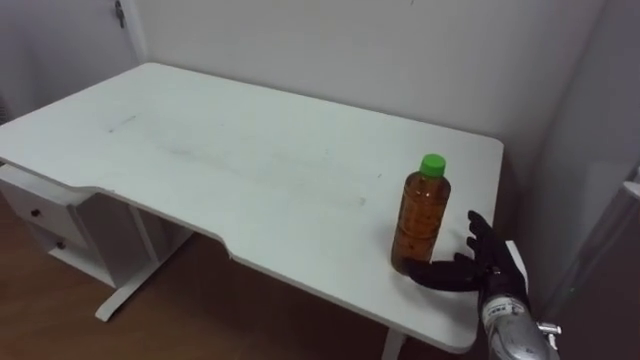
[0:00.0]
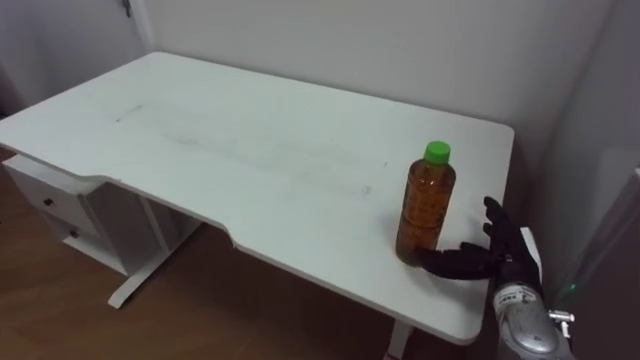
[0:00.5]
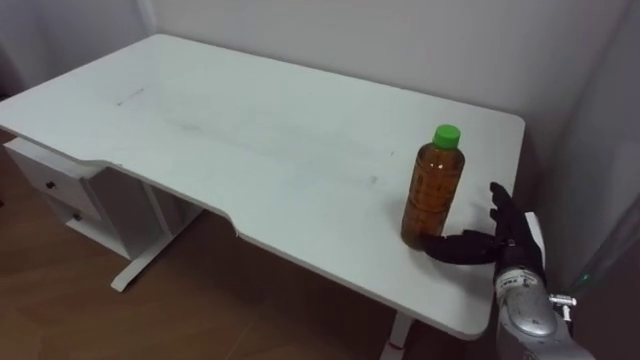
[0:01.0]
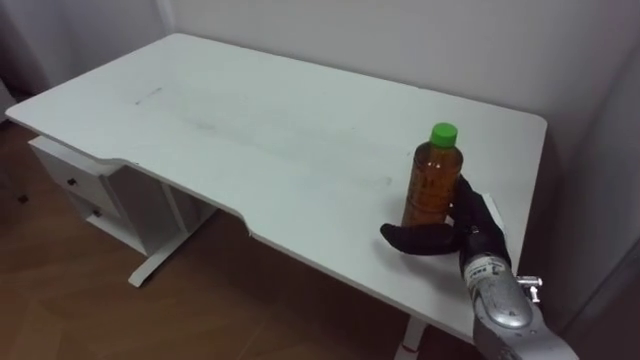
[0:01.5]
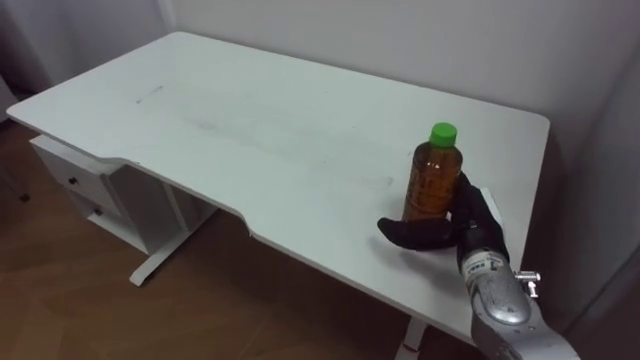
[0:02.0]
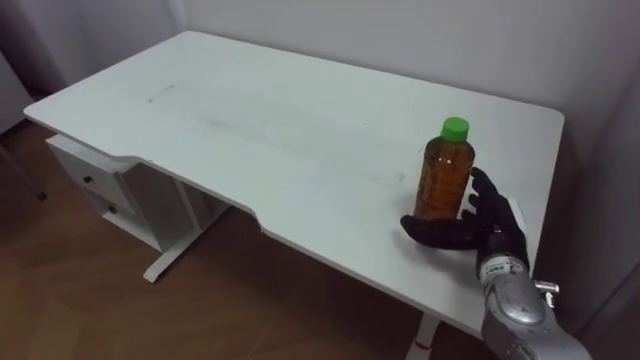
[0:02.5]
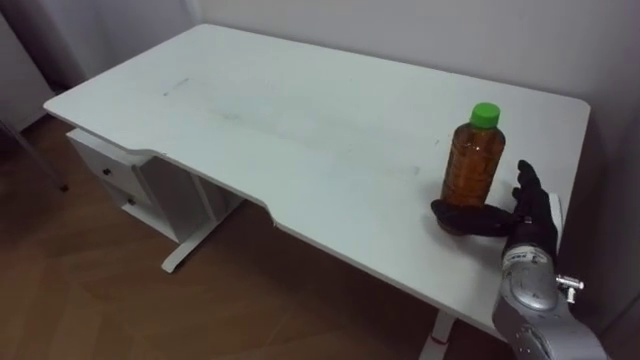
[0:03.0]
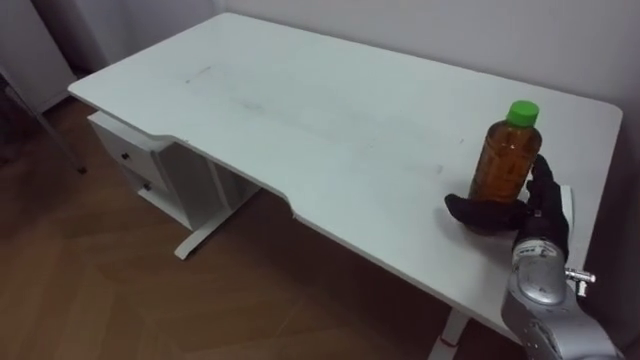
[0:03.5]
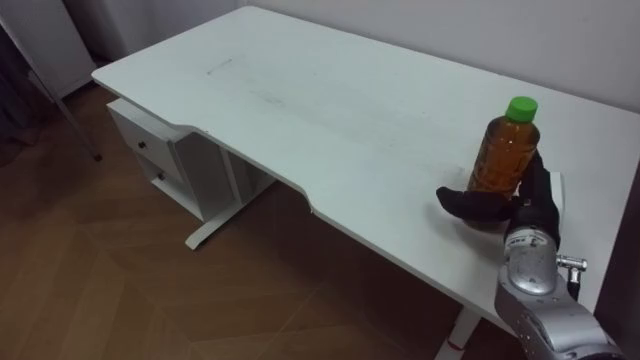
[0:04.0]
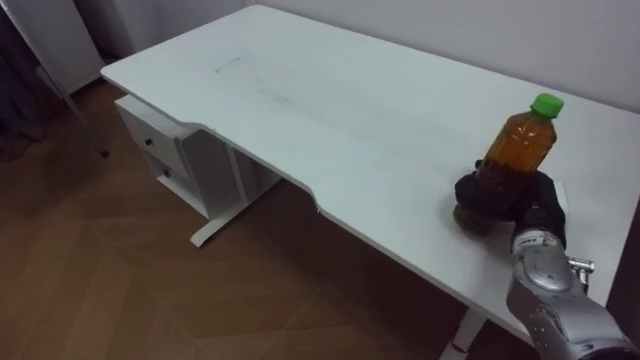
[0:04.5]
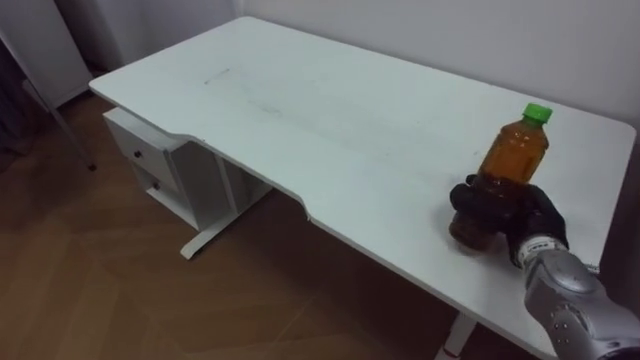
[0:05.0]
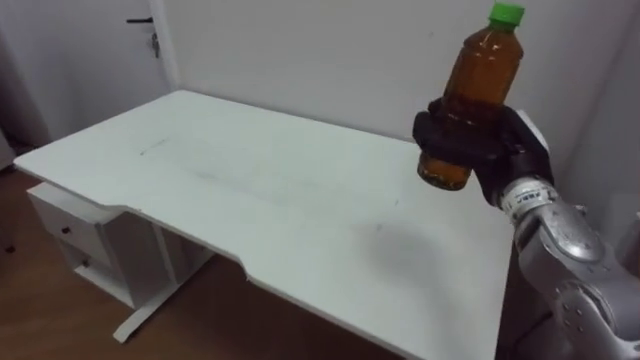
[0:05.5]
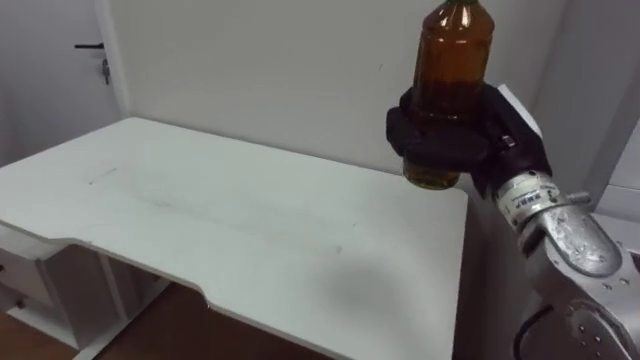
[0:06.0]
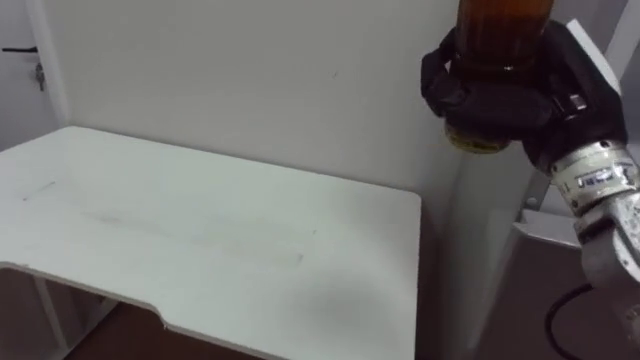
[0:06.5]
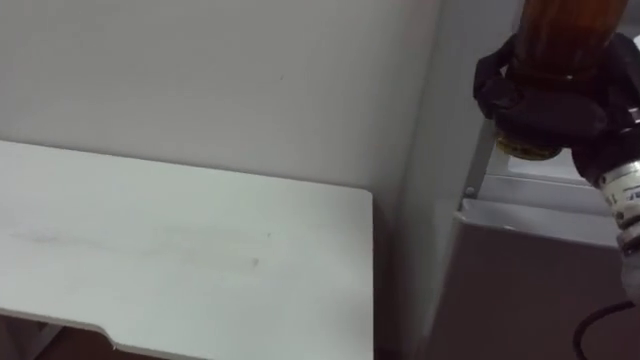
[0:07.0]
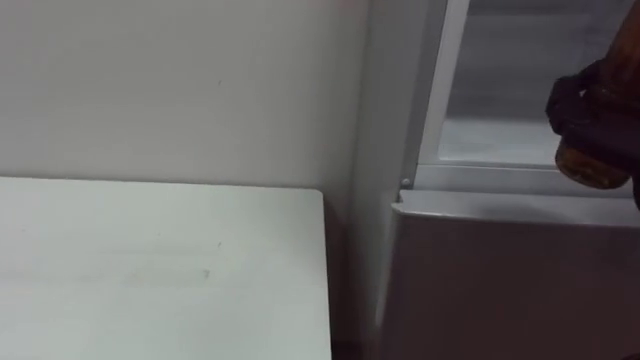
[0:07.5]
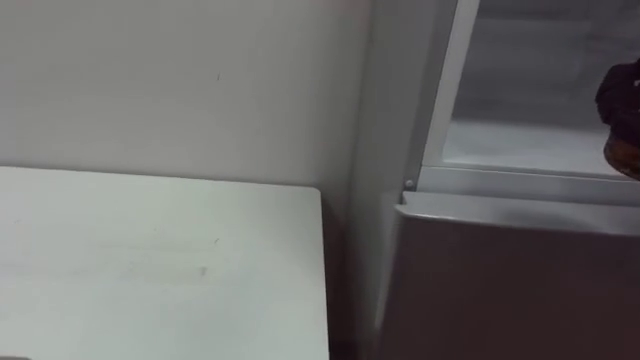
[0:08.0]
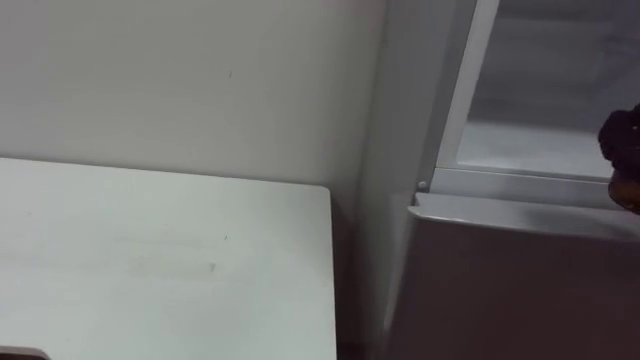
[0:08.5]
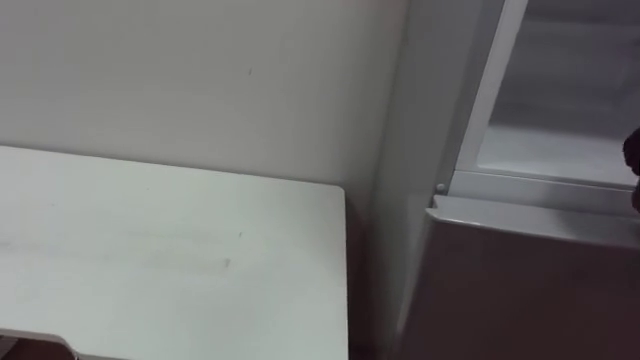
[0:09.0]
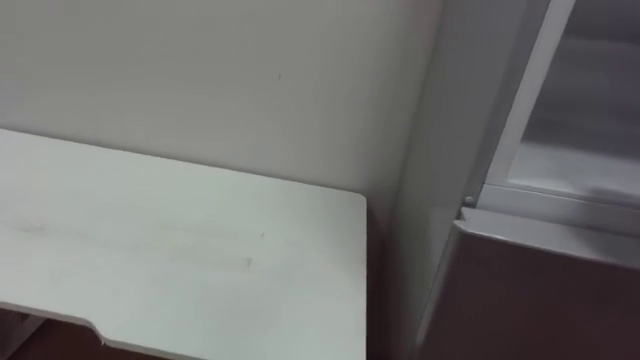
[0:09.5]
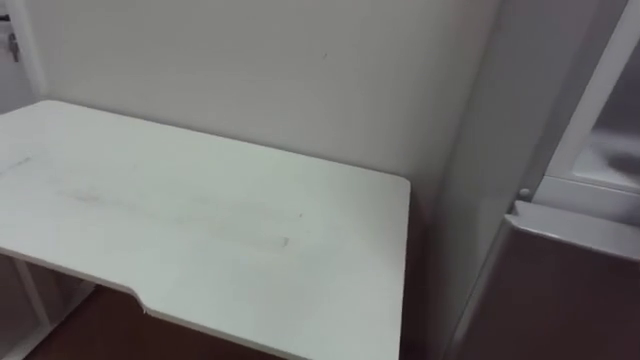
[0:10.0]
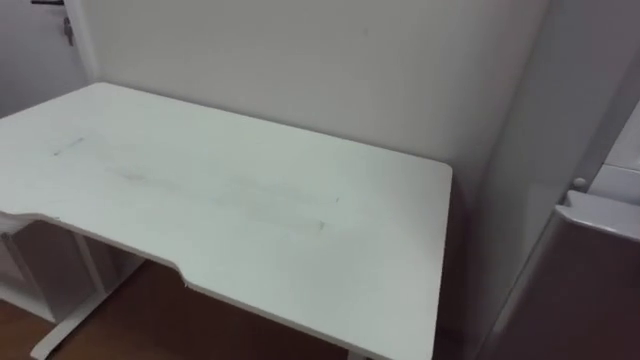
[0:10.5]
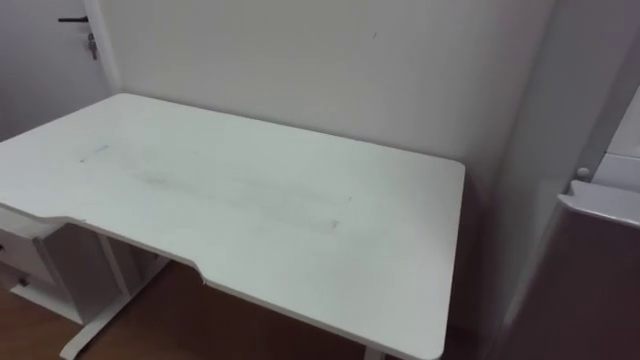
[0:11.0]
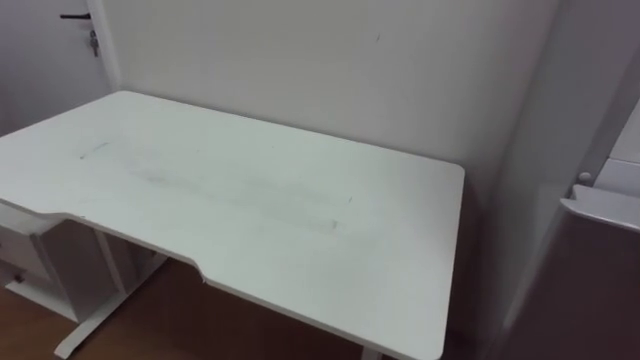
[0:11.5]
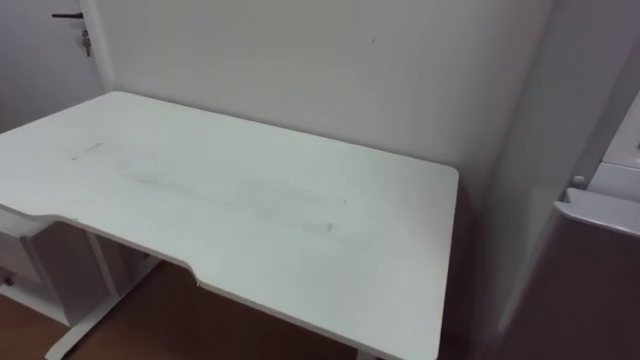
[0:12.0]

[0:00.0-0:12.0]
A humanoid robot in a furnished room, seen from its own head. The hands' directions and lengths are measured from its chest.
Task of the whole recording: Open the upper refrigerator door, put the drink from the table into the refrigerator, and then close the refrigerator door.
0:00.0 to 0:02.0: The right hand shifts approximately 5 cm upward.
0:02.0 to 0:04.0: The right hand moves to the right, some 5 cm.
0:04.0 to 0:06.0: The right hand moves upward and to the left, about 15 cm, and closes up.

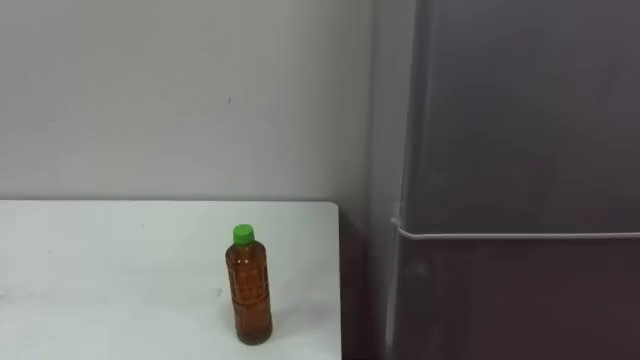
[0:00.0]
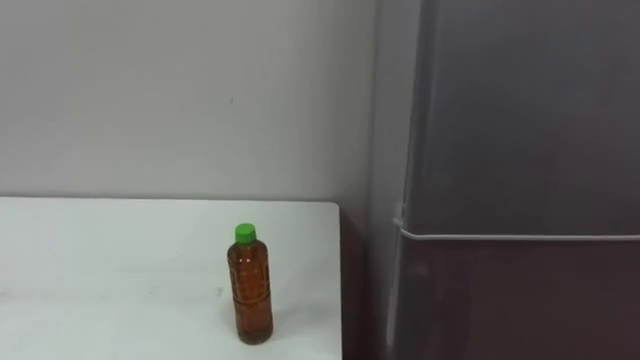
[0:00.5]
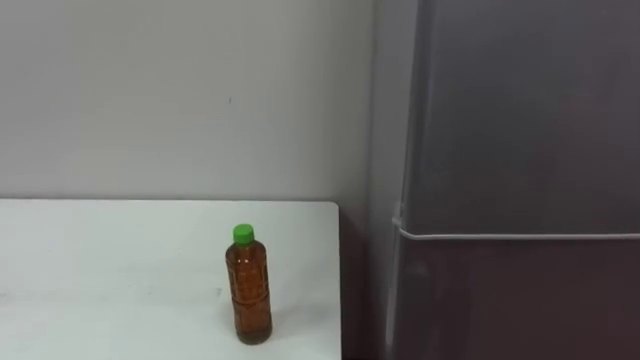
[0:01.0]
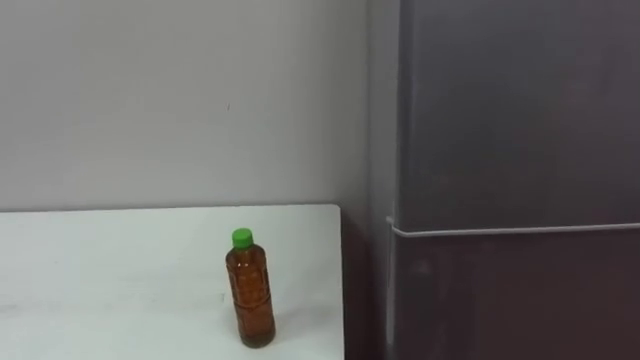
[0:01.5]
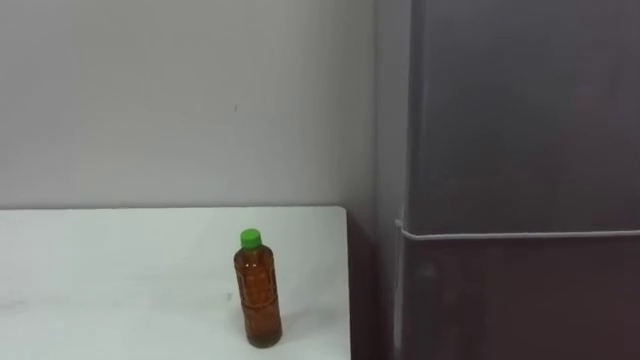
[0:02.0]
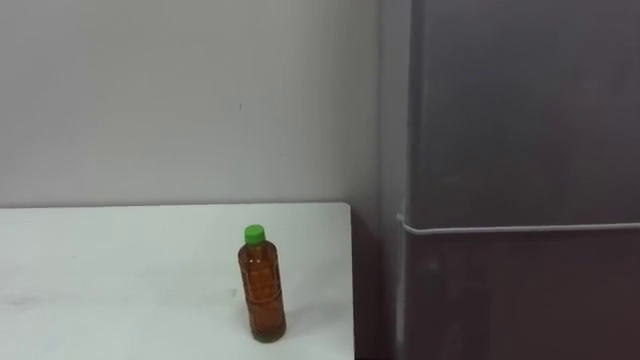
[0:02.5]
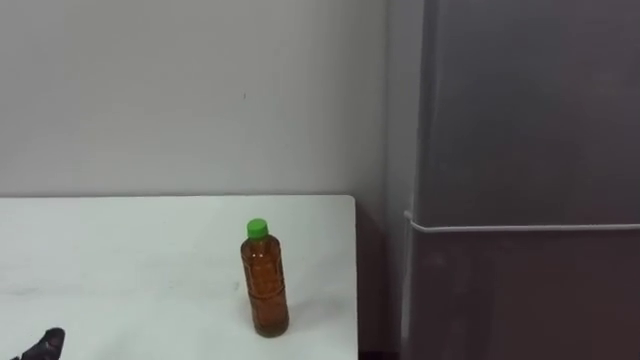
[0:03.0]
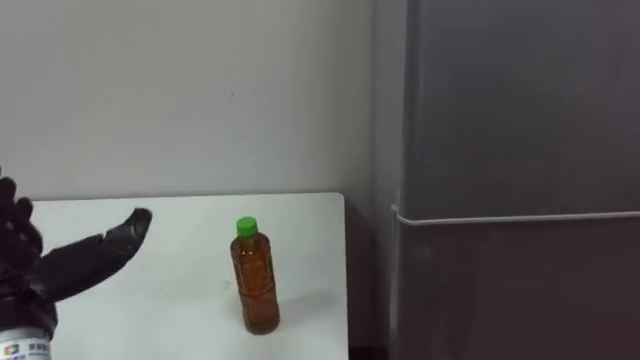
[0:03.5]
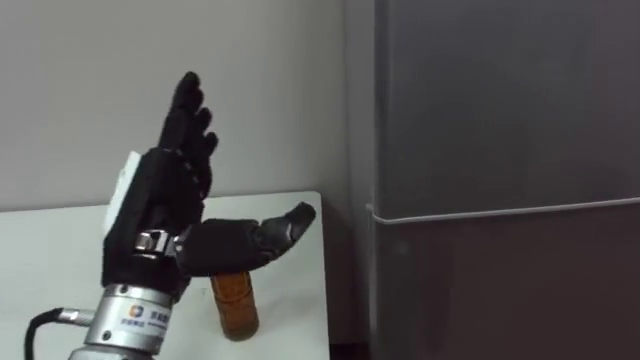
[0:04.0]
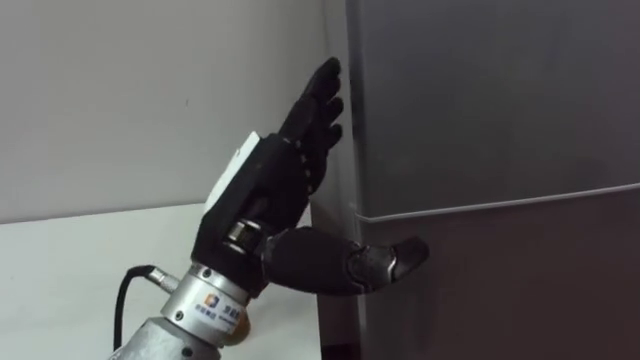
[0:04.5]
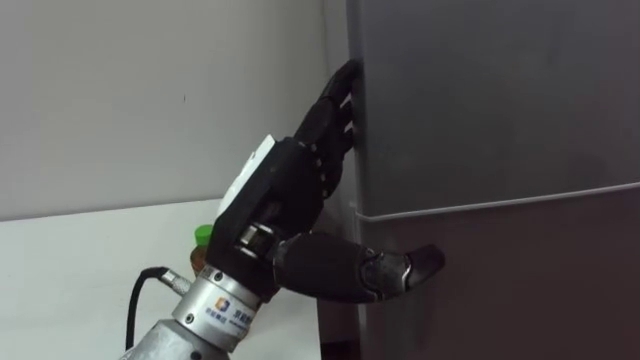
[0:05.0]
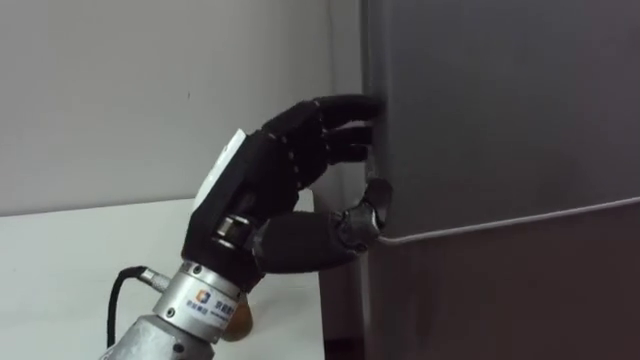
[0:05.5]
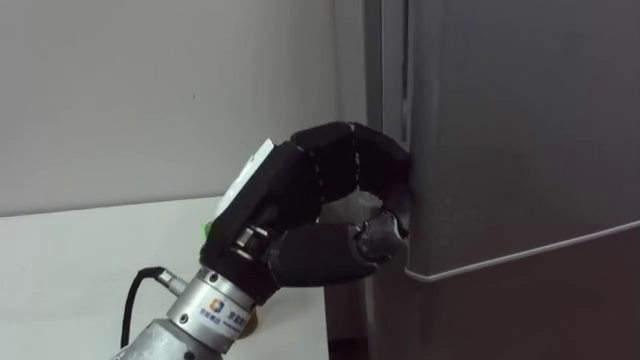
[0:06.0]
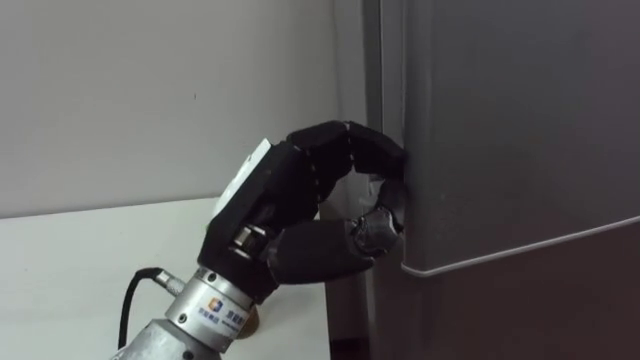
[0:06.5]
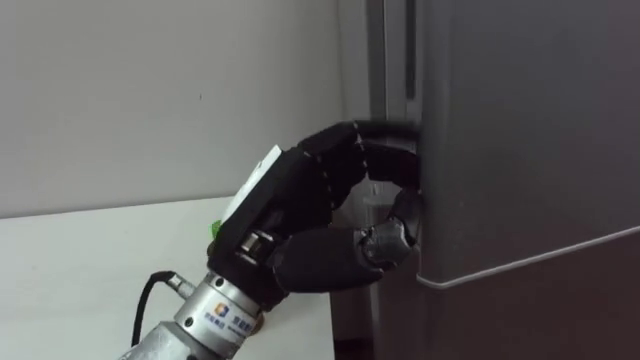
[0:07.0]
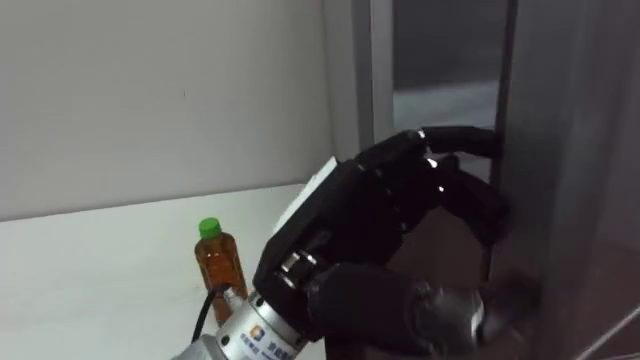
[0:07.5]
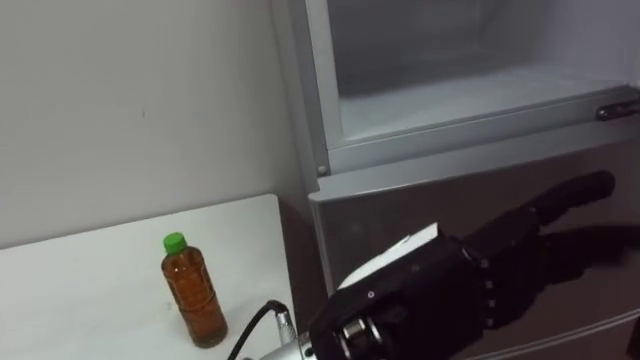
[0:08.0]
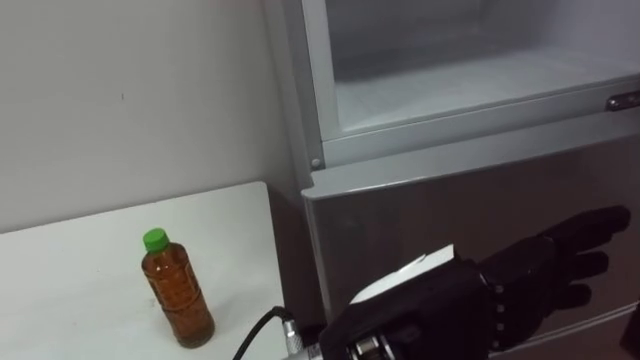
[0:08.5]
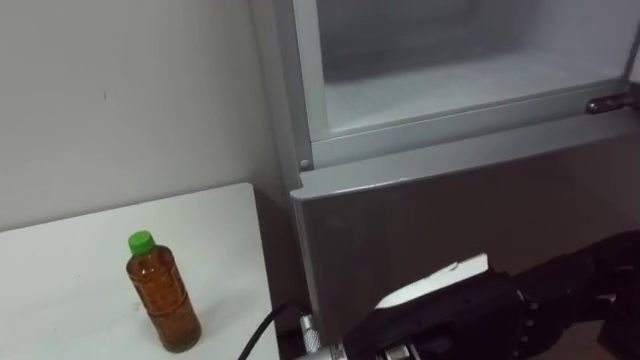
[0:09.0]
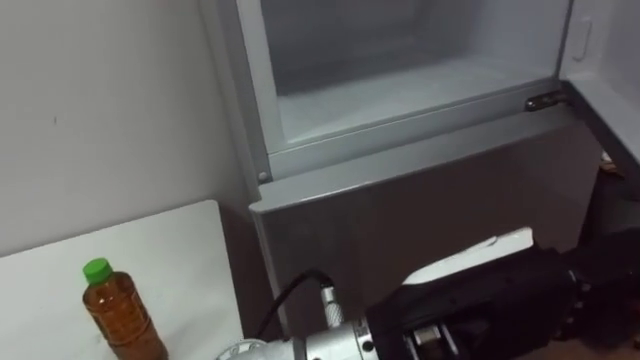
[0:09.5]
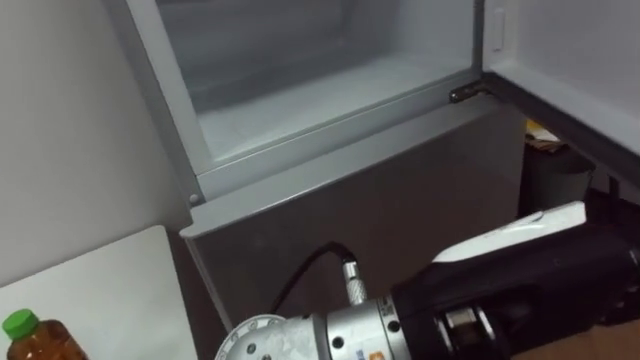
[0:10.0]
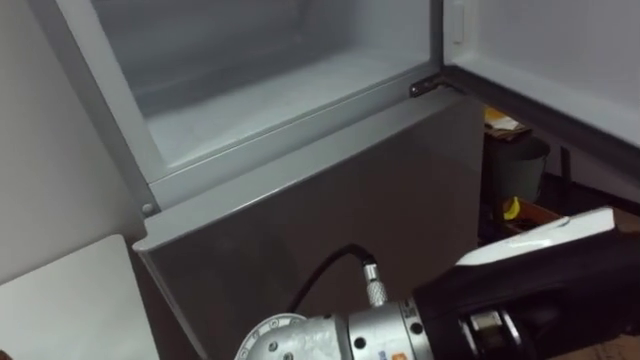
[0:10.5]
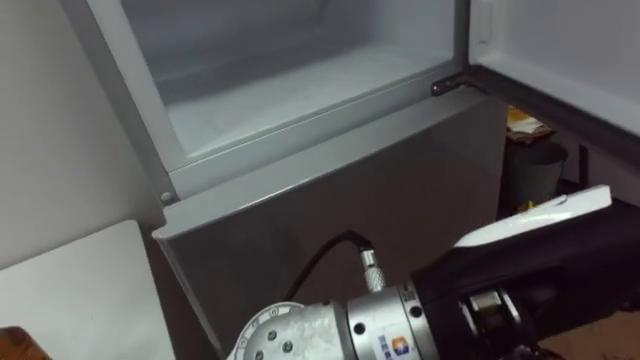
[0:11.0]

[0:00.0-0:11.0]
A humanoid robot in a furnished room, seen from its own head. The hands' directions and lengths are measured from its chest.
Task of the whole recording: Open the upper refrigerator door, put the drink from the table into the refrigerator, and then close the refrigerator door.
0:03.5 to 0:05.5: The left hand shifts roughly 20 cm to the right.
0:05.5 to 0:07.5: The left hand heads to the right, covering about 5 cm.
0:07.5 to 0:09.0: The left hand shifts some 5 cm to the right.
0:09.0 to 0:11.0: The left hand is displaced upward by roughly 5 cm.
